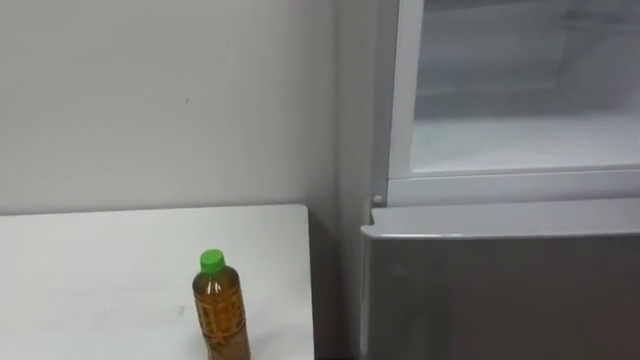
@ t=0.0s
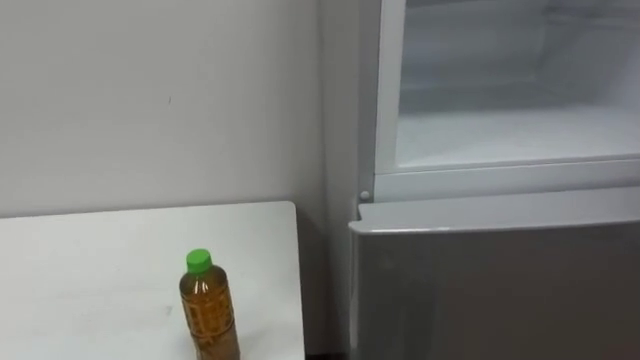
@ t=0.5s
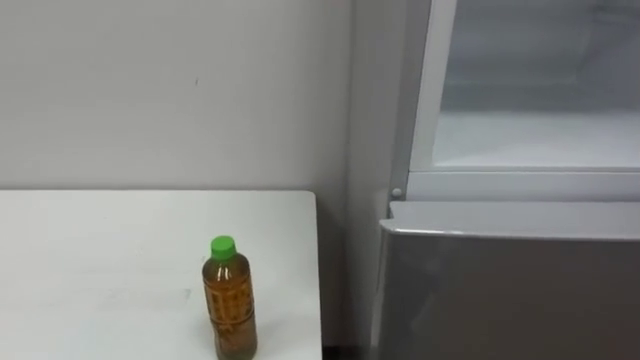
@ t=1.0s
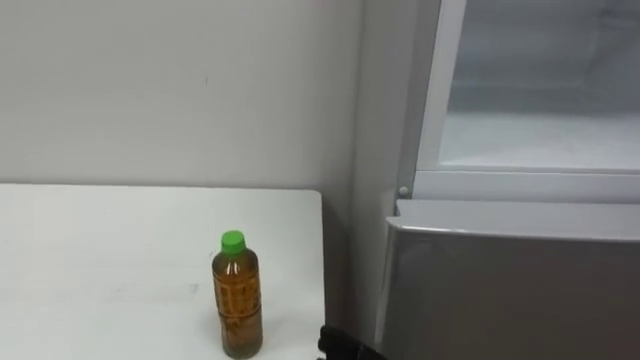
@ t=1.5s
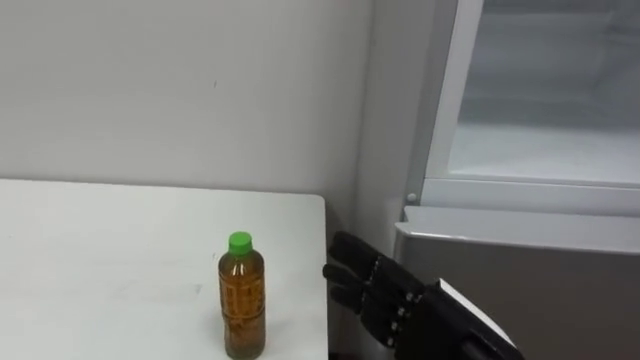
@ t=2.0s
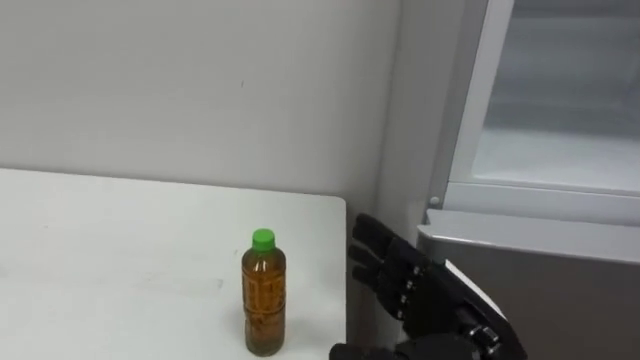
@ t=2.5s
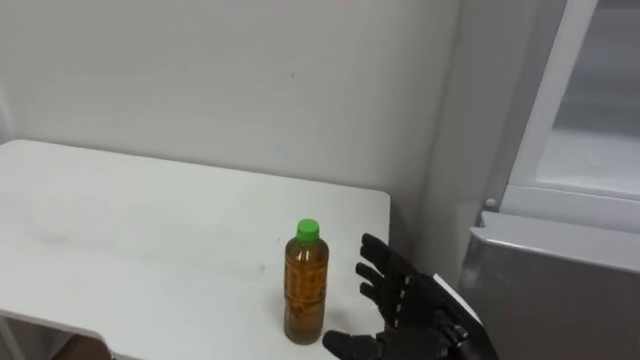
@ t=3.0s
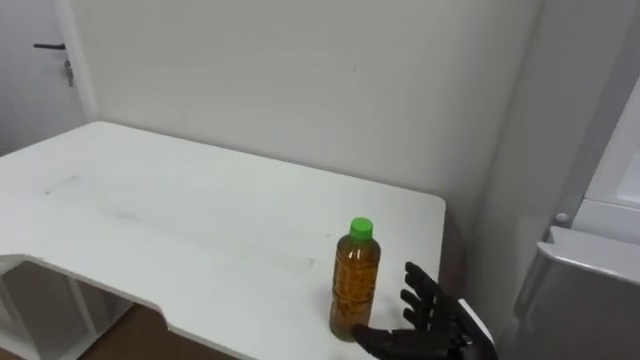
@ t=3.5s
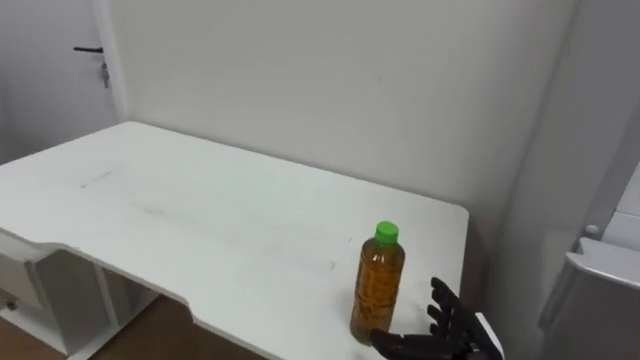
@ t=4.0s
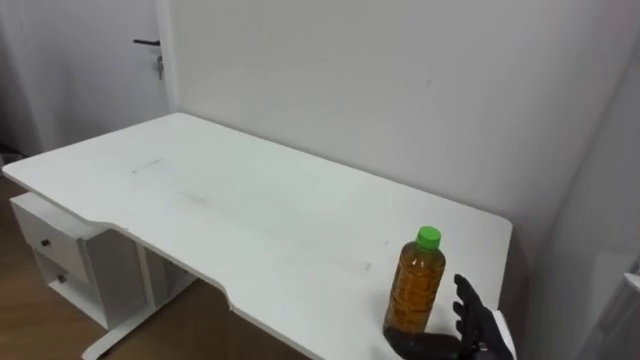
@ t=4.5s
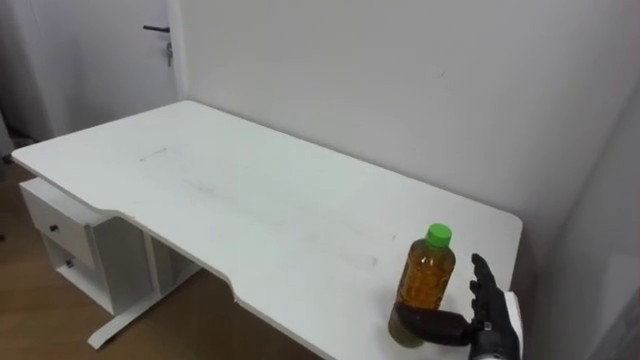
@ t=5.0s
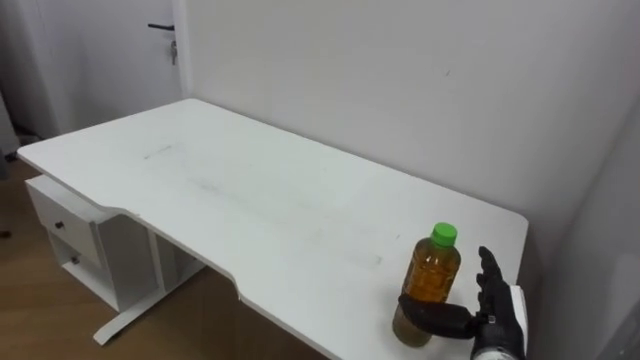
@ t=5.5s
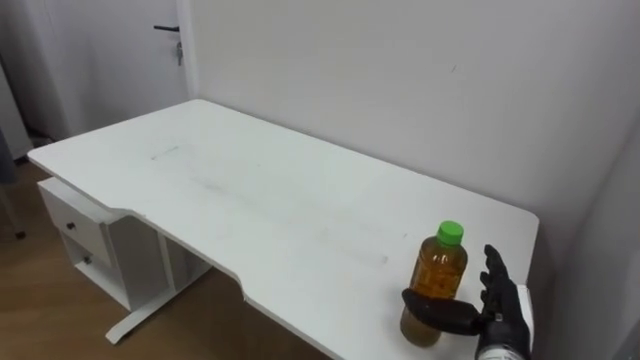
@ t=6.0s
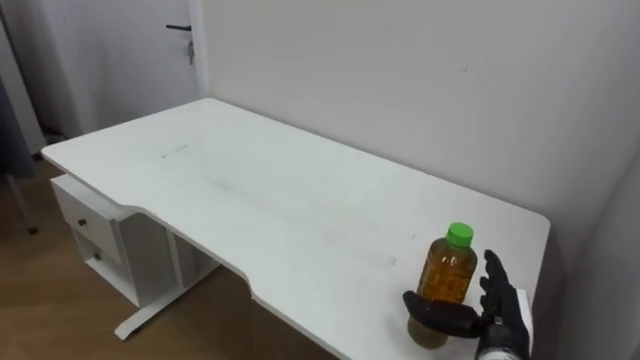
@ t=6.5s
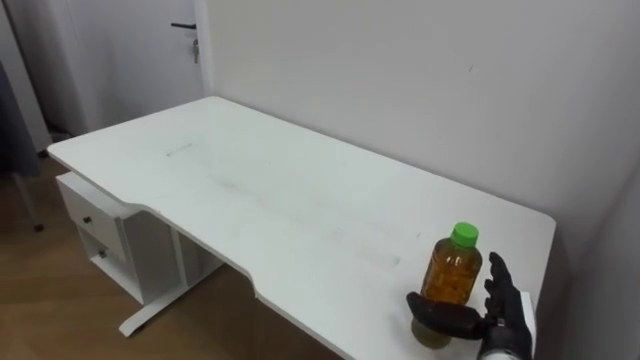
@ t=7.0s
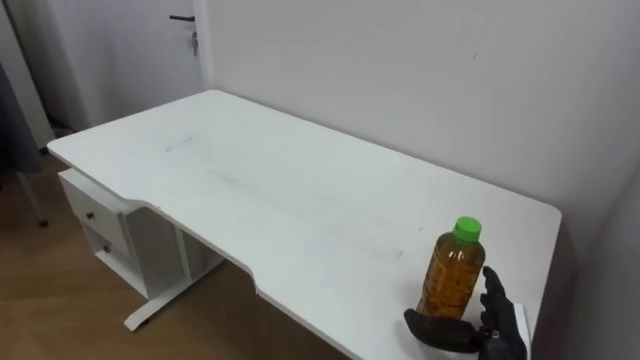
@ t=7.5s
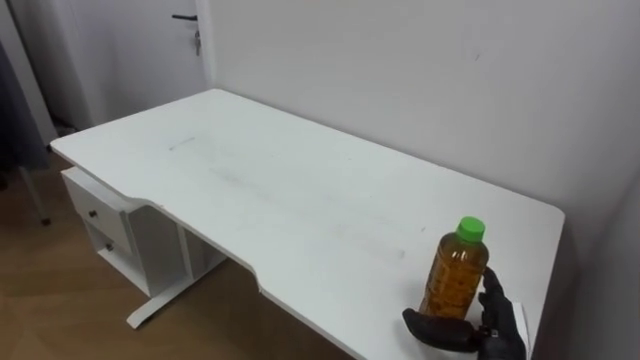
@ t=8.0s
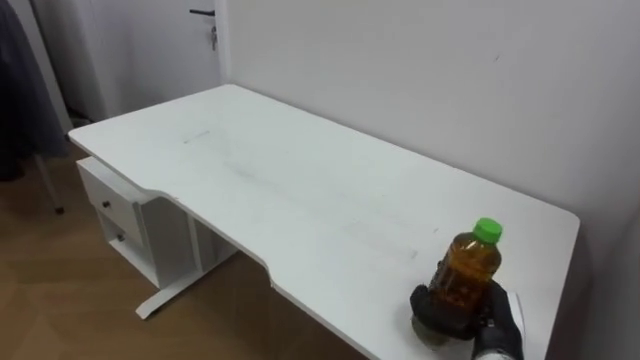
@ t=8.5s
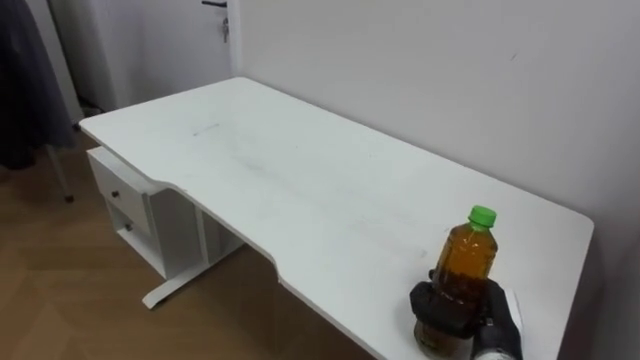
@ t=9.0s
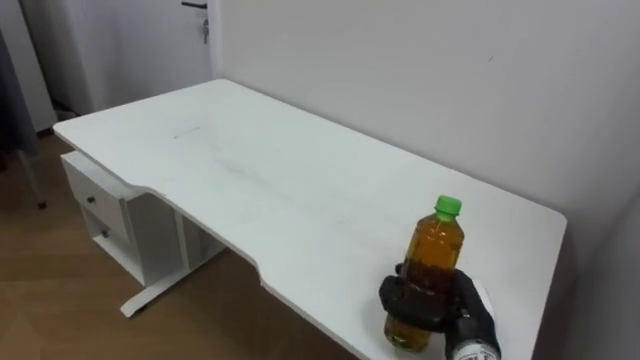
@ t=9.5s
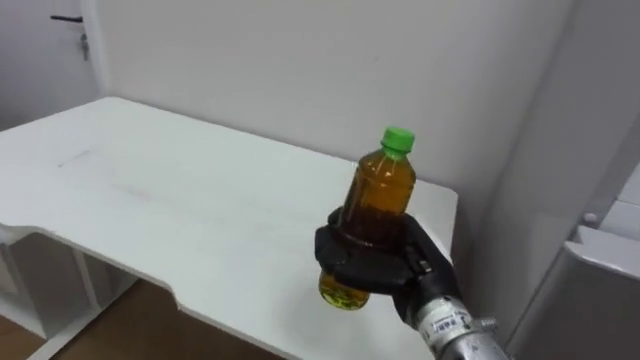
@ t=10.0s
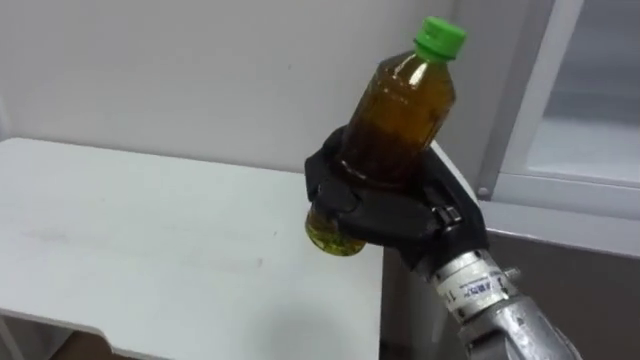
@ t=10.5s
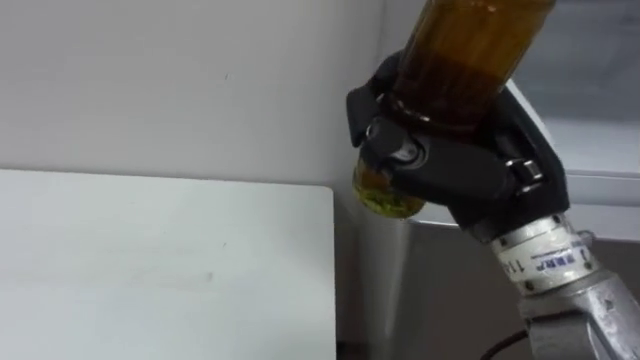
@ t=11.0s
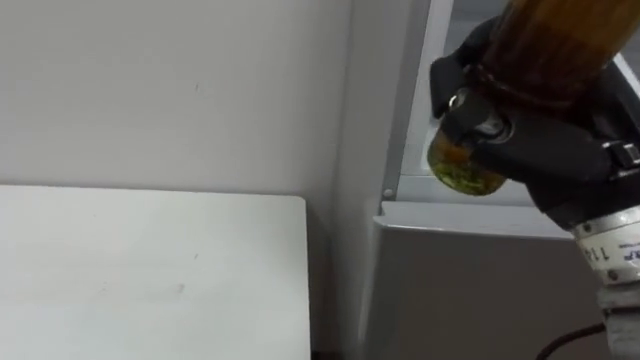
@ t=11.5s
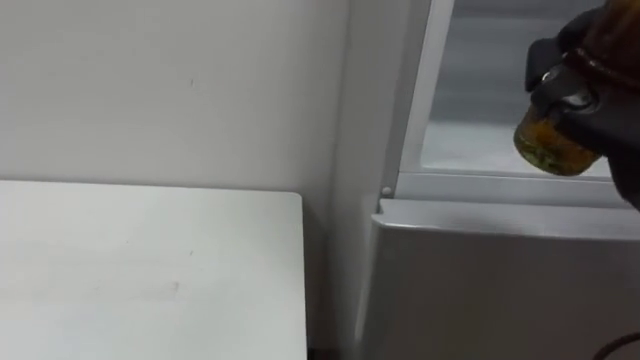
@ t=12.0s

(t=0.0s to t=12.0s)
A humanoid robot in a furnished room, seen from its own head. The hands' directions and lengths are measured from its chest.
Task of the whole recording: Open the upper refrigerator door, put the drink from the table into the refrigerator, and then close the refrigerator door.
t=2.0s - t=4.0s: The right hand travels downward and forward by approximately 15 cm.
t=4.0s - t=6.0s: The right hand ends up approximately 5 cm from where it was.
t=8.0s - t=10.0s: The right hand heads upward and to the left, covering about 15 cm, and closes up.

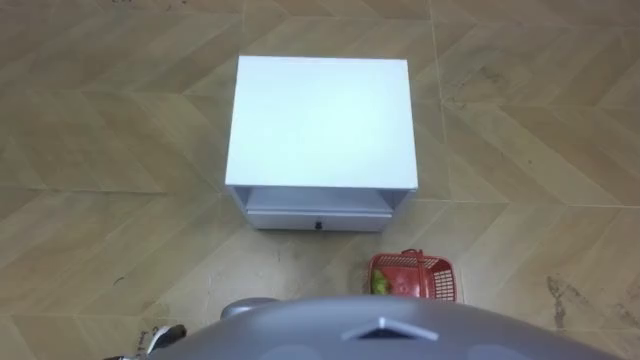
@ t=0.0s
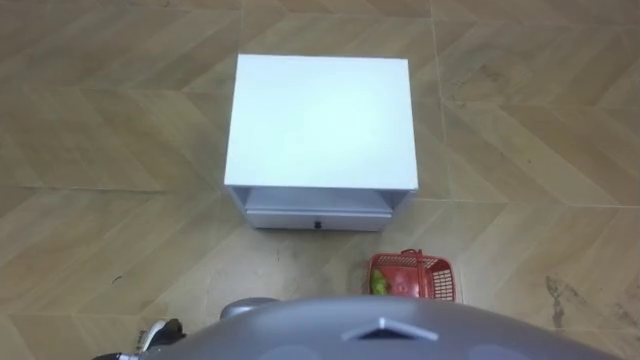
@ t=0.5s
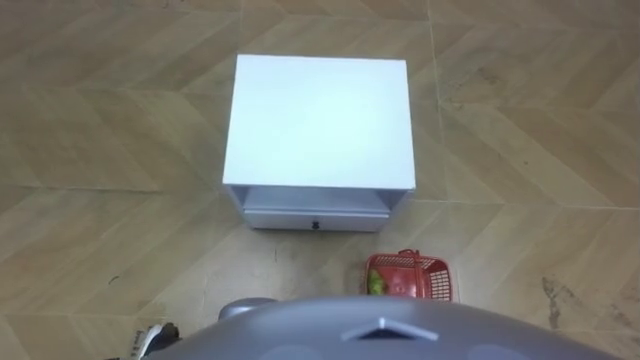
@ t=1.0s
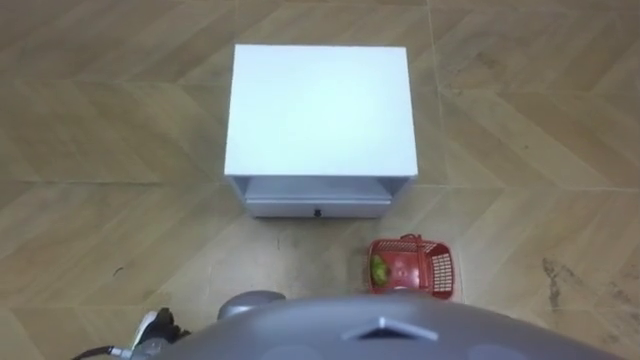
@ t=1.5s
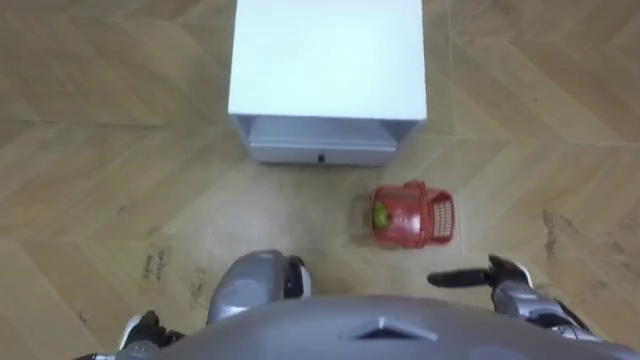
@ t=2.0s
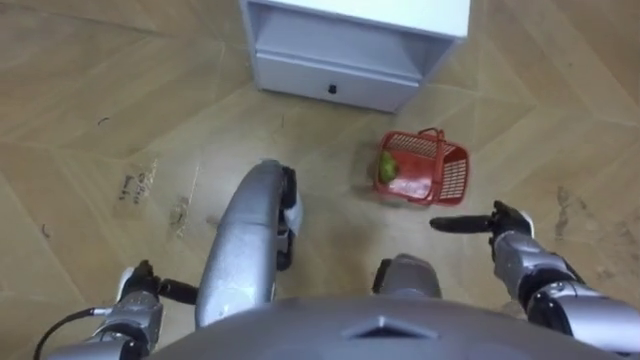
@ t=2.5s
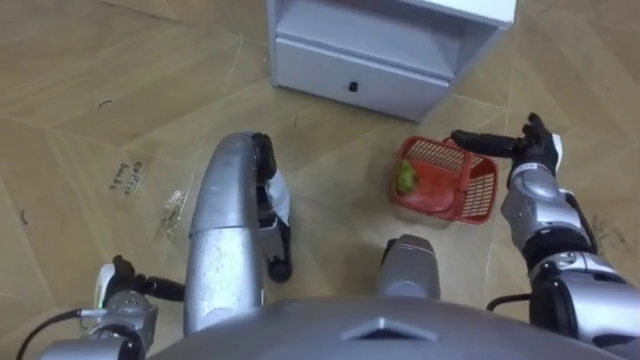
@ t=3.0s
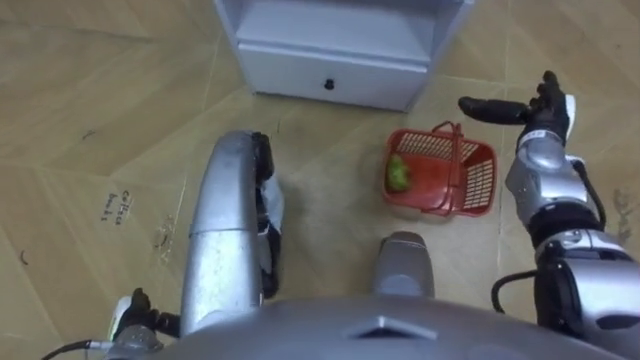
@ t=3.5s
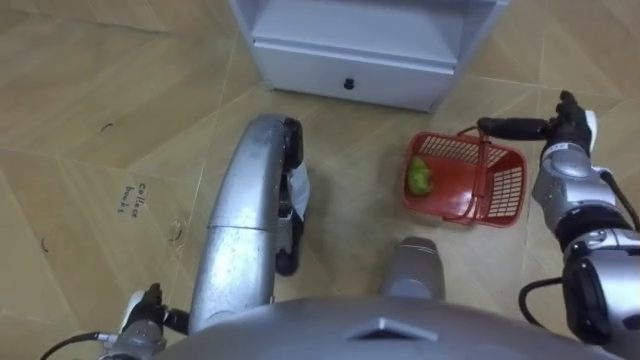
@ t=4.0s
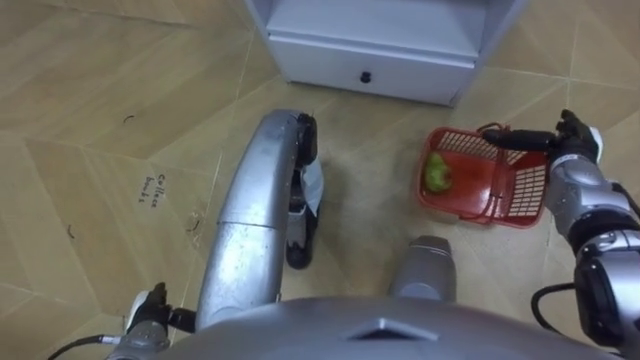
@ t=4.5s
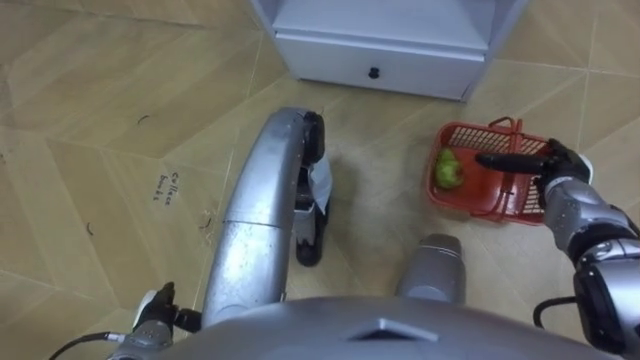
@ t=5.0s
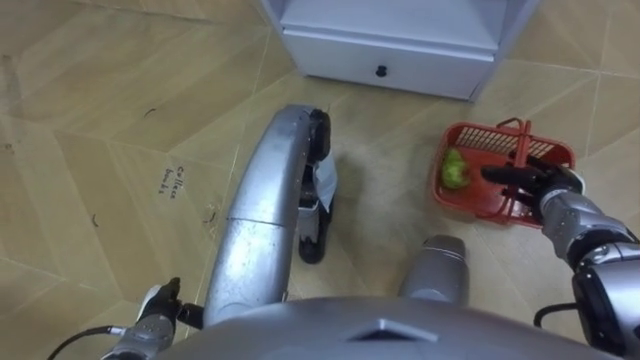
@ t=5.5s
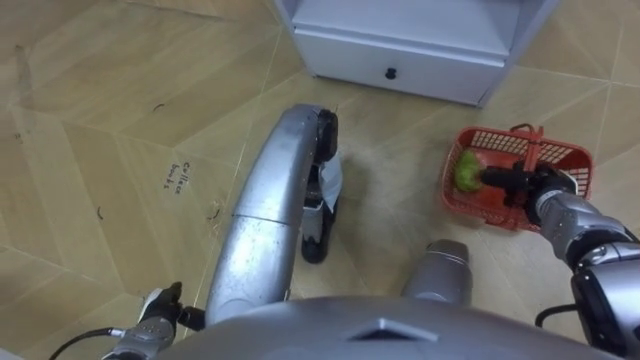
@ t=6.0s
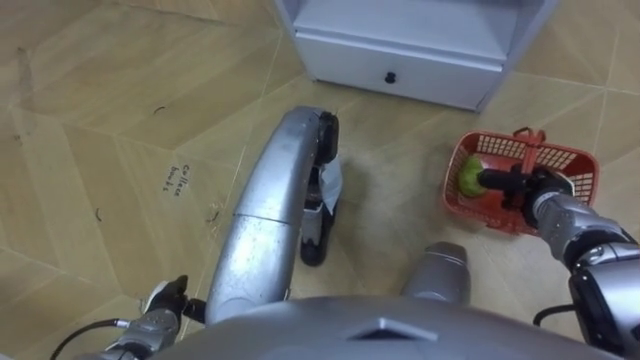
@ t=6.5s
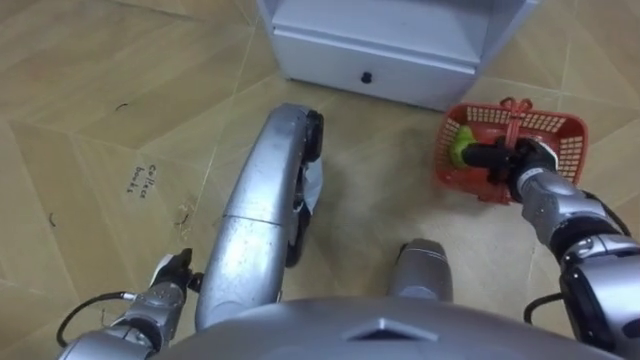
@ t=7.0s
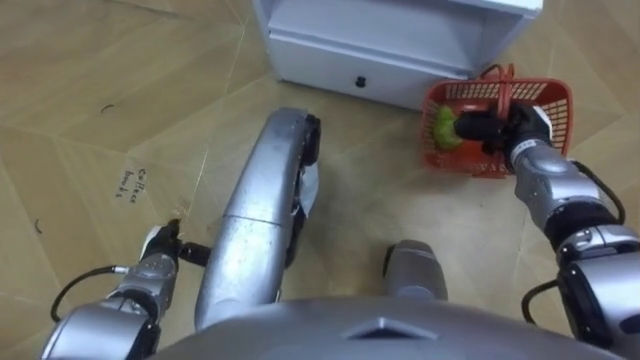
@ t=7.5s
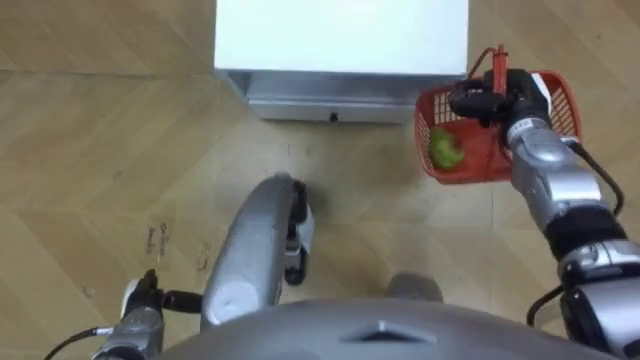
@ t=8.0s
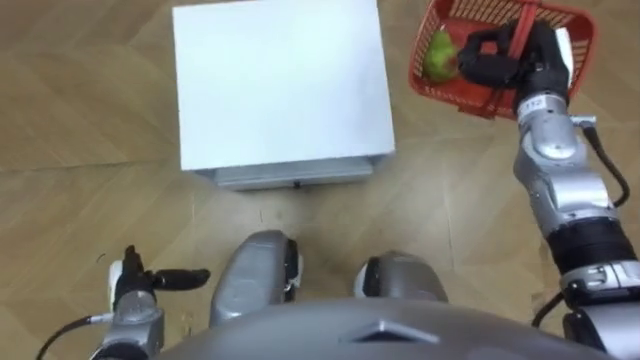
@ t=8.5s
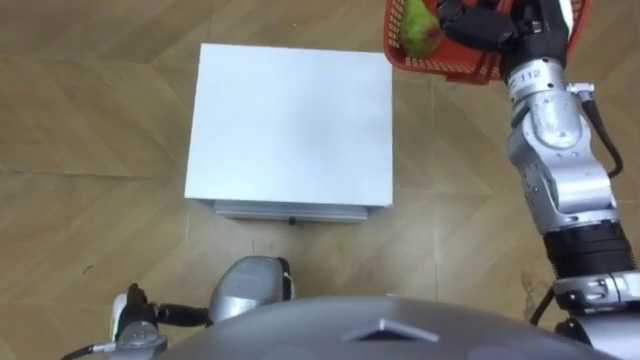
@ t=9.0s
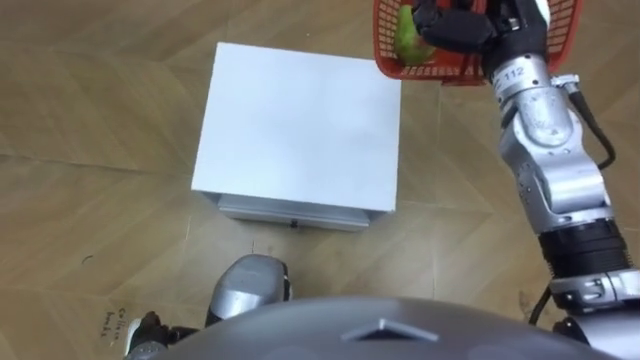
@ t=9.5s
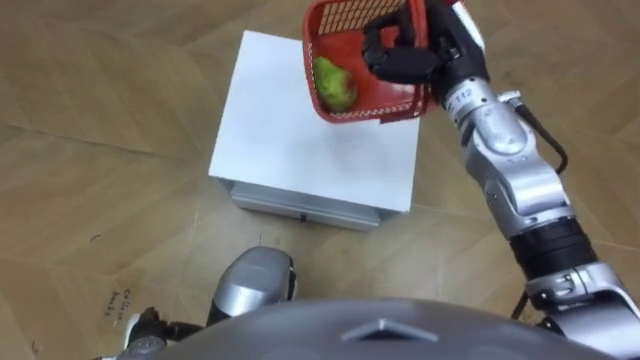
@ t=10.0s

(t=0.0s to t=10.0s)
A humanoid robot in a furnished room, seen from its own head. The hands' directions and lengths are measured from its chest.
Task of the whole recording: Pick up the fruit basket from the floor and place it on the cabinet.
t=2.0s - t=4.0s: The right hand heads forward and upward, covering approximately 25 cm.
t=4.0s - t=6.0s: The right hand shifts about 10 cm backward and downward, and closes its fingers.
t=6.0s - t=8.0s: The right hand moves forward, upward and to the left, approximately 15 cm; the left hand reaches roughly 10 cm forward, then returns.
t=8.0s - t=10.0s: The right hand heads to the left and upward, covering about 15 cm; the left hand shifts approximately 5 cm backward.
